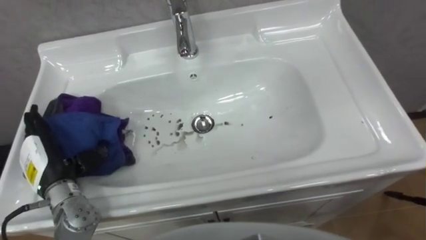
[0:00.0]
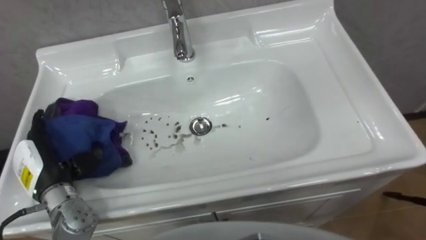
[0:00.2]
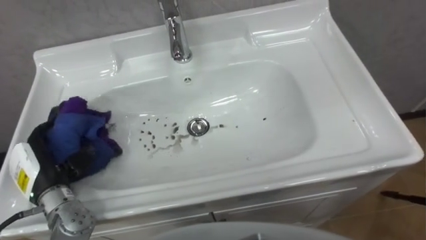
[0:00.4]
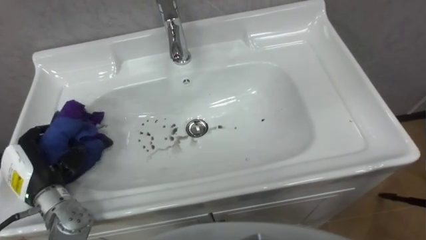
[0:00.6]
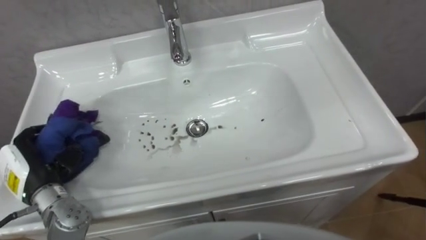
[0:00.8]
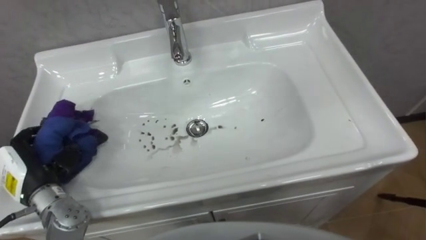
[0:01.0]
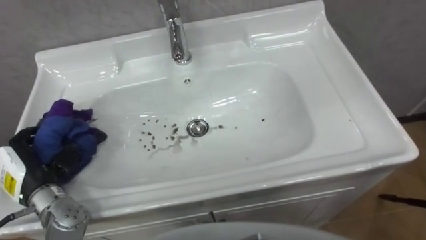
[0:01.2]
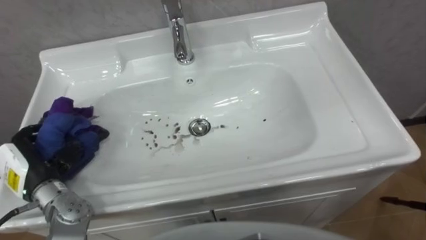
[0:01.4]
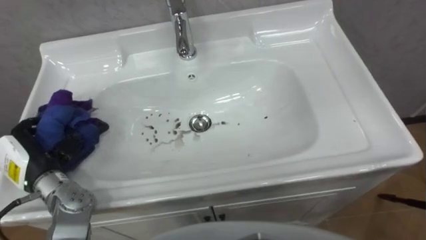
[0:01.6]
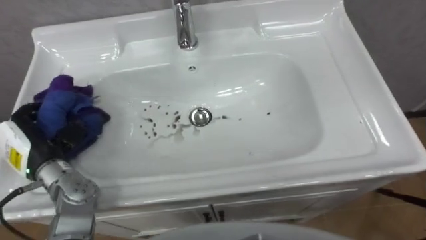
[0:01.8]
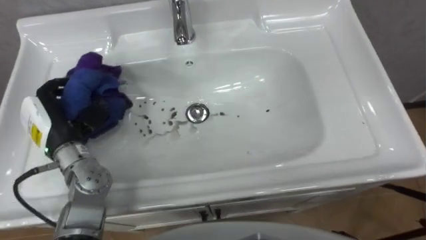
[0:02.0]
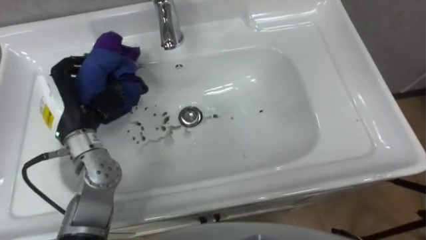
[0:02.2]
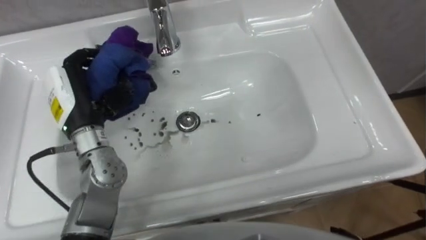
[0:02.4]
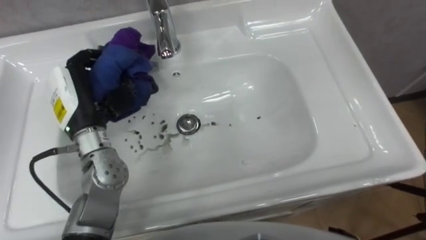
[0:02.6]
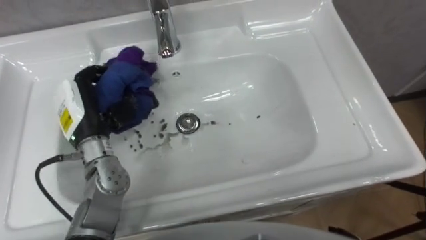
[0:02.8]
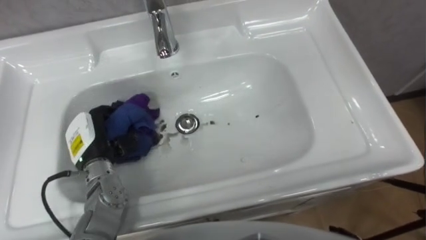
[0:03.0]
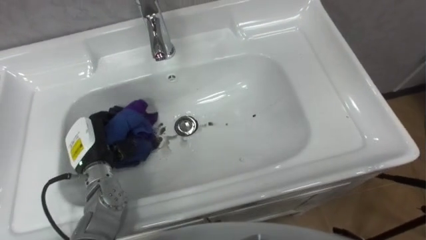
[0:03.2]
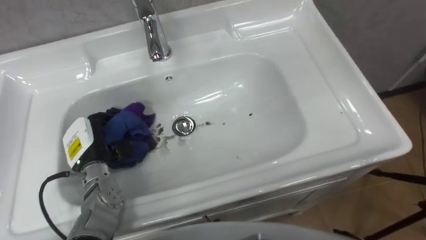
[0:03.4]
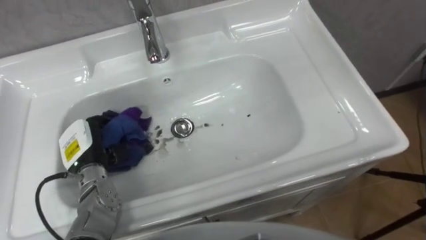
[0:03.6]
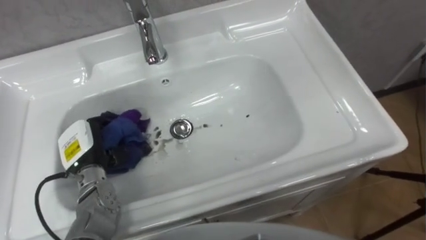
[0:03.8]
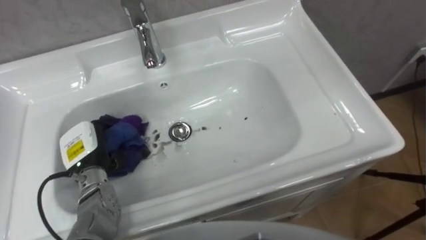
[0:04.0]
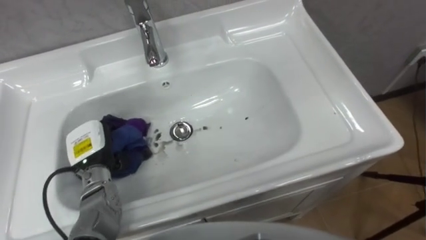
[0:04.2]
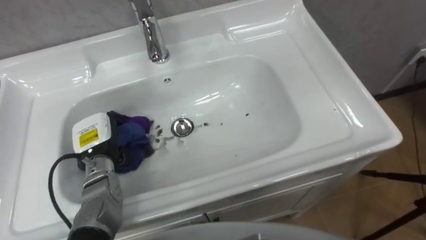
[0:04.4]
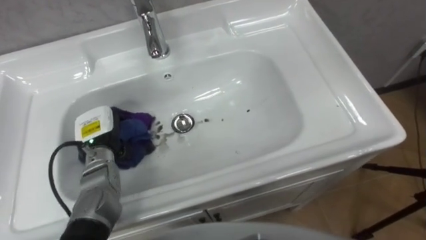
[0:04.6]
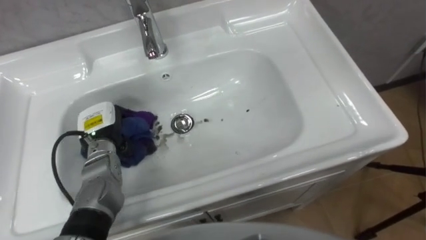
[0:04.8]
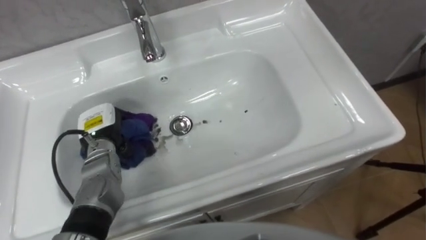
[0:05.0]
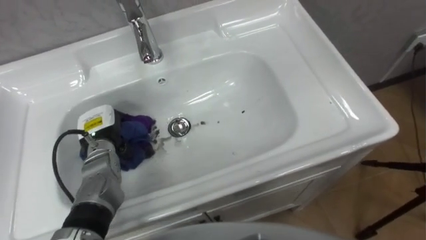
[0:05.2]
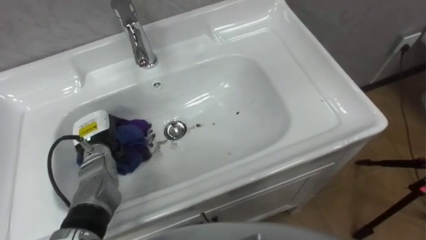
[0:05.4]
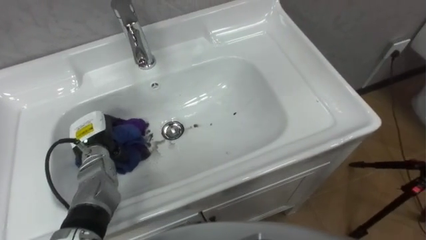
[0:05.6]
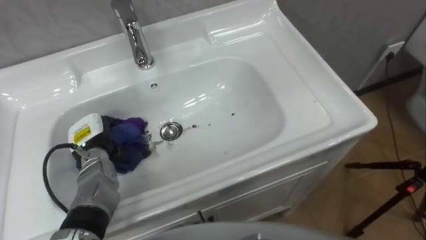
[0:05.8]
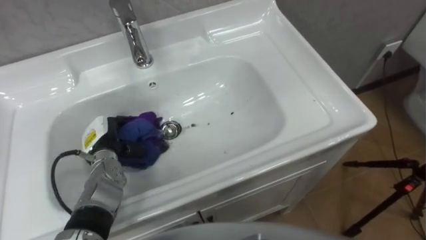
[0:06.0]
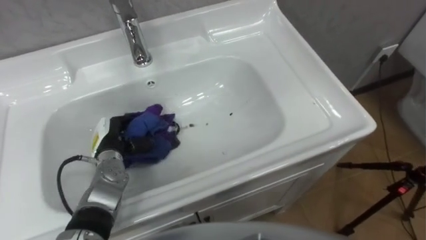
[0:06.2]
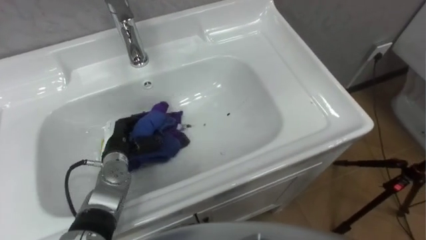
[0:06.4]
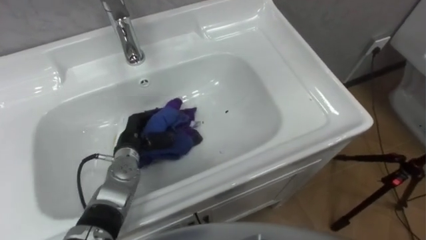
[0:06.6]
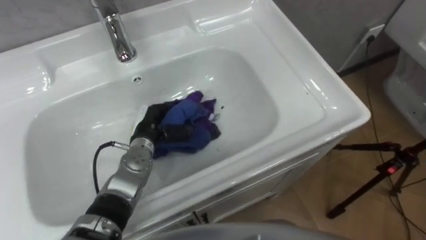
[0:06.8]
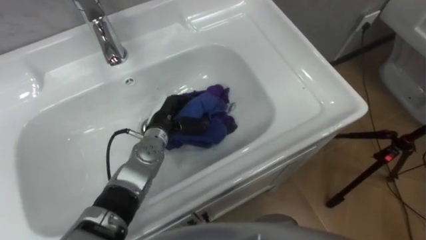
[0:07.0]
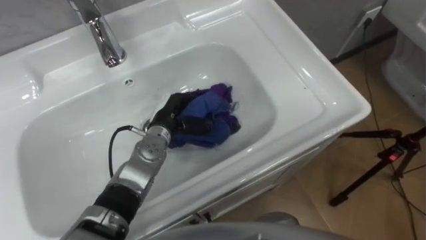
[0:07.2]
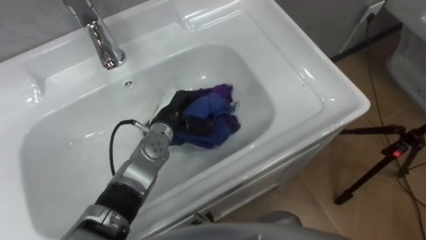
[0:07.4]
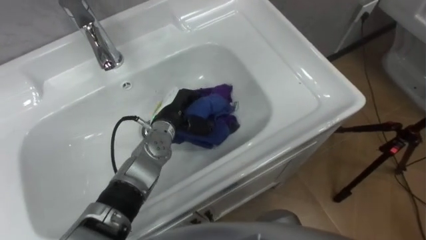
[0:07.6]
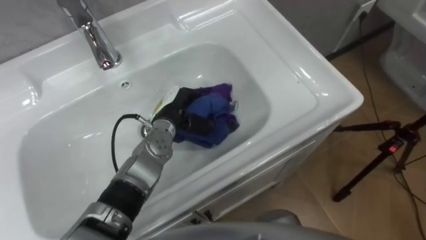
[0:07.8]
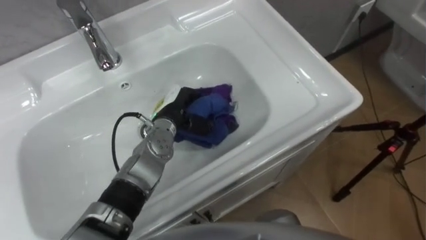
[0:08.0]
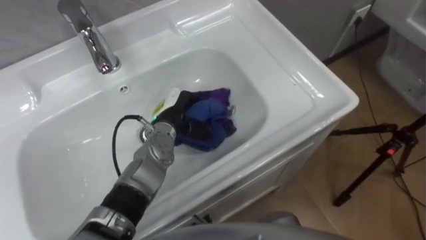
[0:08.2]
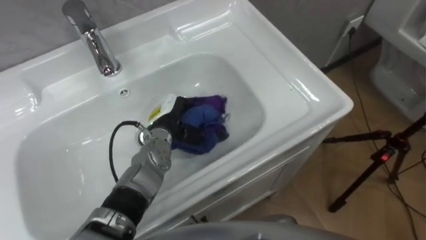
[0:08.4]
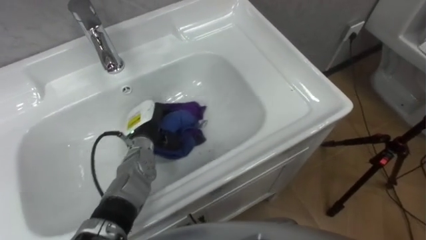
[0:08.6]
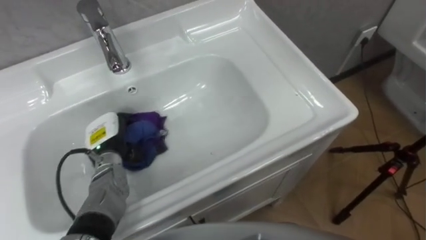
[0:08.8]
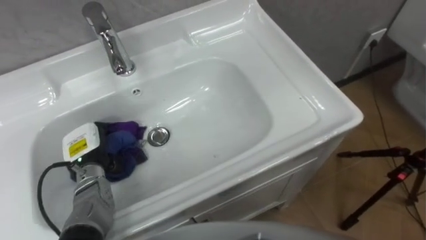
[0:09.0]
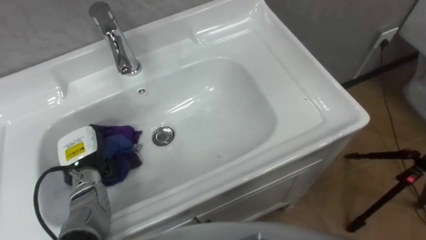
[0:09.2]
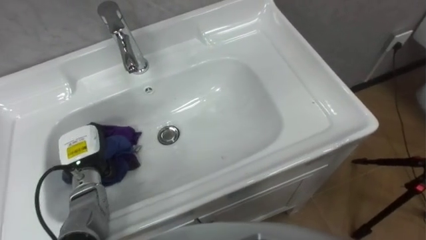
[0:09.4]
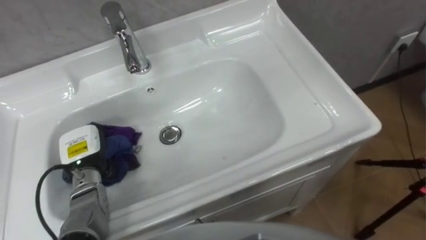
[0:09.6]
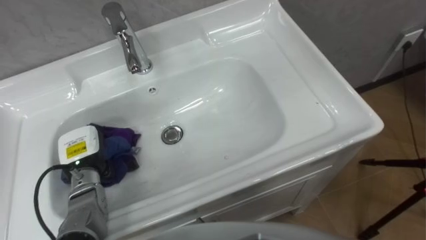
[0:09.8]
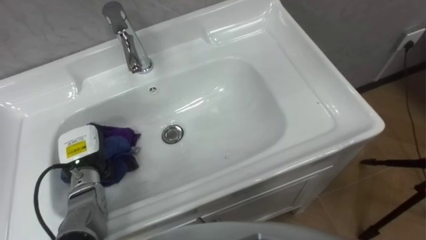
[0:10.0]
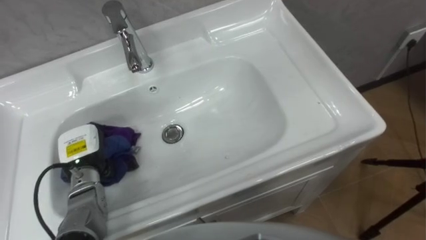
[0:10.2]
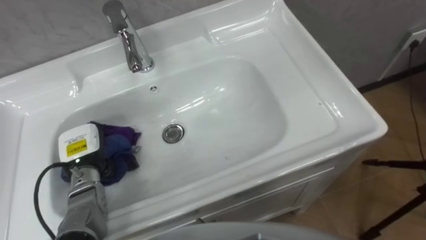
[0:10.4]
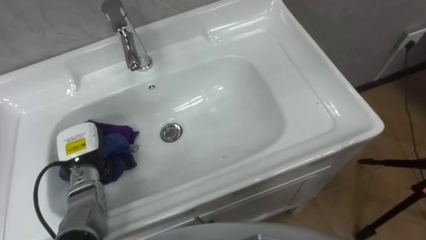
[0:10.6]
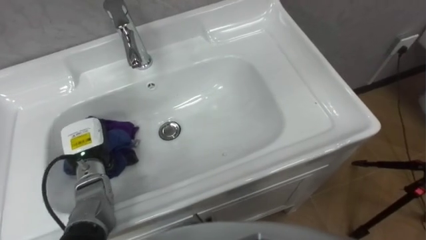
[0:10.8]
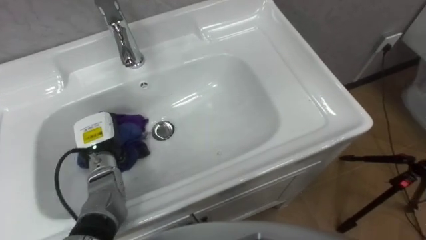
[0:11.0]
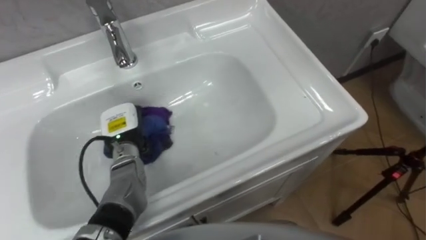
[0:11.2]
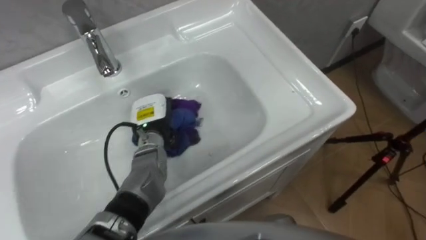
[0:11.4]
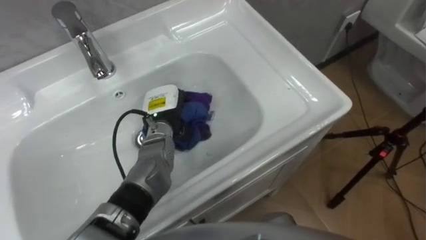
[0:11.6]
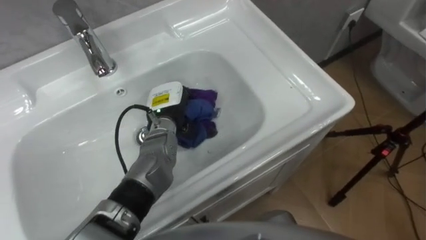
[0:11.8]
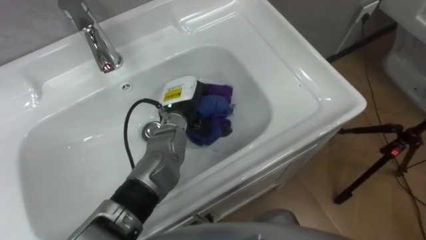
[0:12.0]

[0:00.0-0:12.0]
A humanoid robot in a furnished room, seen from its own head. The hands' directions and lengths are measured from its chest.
Task of the whole recording: Use the cloth on the right to wipe away the black stain in the sink.
0:00.0 to 0:01.6: The left hand closes its fingers.
0:01.6 to 0:03.0: The left hand heads to the right, covering some 10 cm.
0:06.0 to 0:07.6: The left hand moves to the right, about 15 cm.
0:07.6 to 0:09.0: The left hand is displaced to the left and backward by about 20 cm.
0:10.4 to 0:12.0: The left hand moves to the right and forward, some 25 cm.

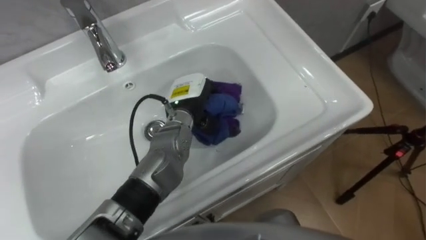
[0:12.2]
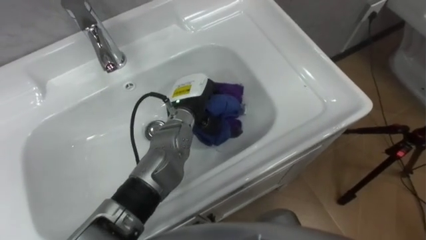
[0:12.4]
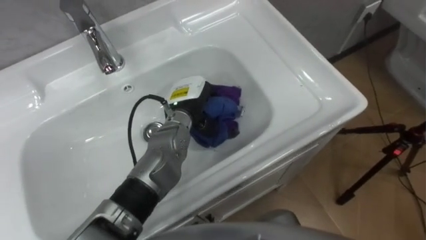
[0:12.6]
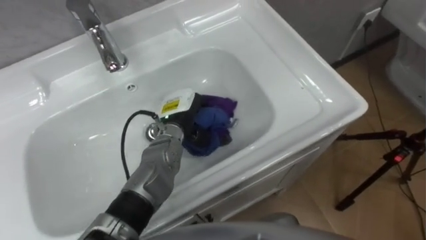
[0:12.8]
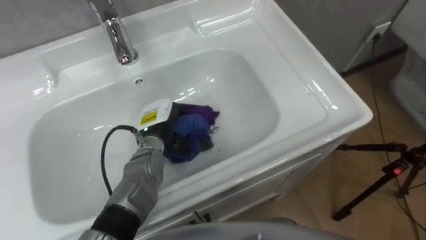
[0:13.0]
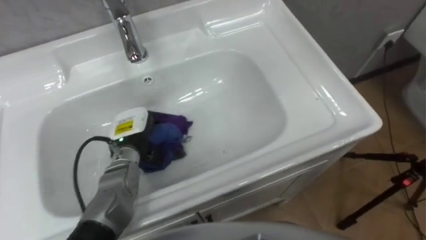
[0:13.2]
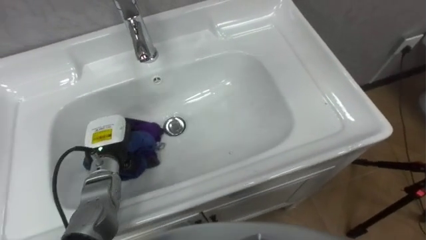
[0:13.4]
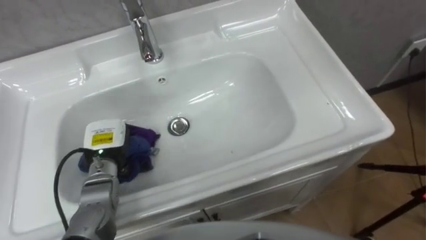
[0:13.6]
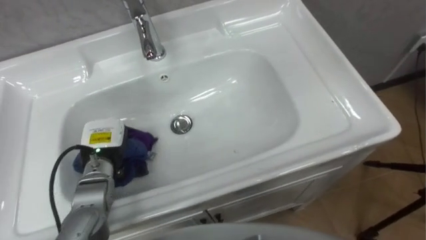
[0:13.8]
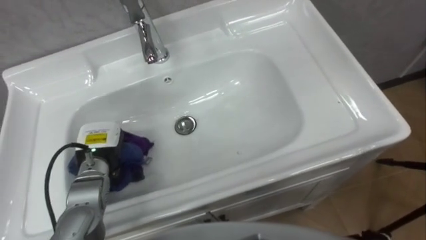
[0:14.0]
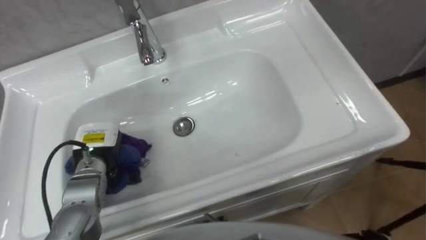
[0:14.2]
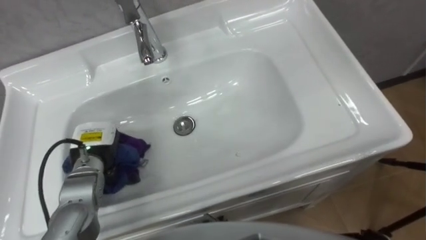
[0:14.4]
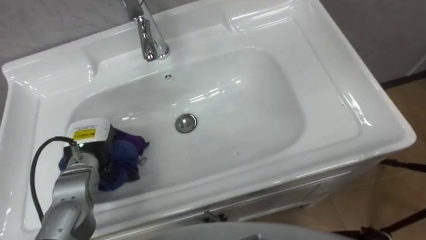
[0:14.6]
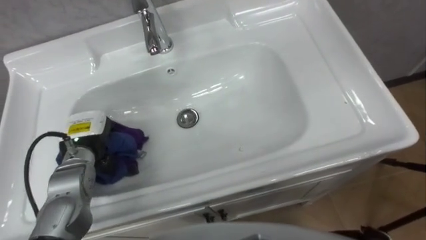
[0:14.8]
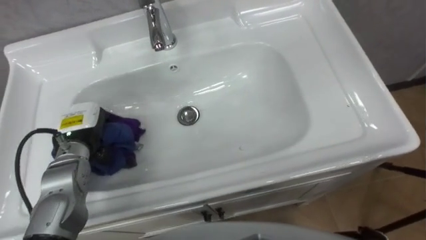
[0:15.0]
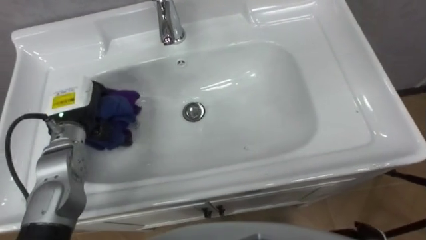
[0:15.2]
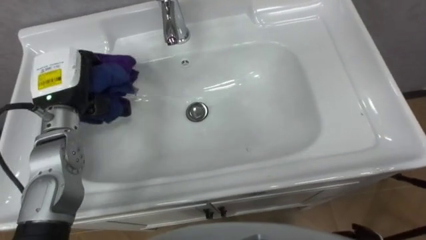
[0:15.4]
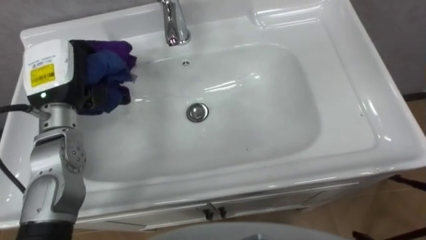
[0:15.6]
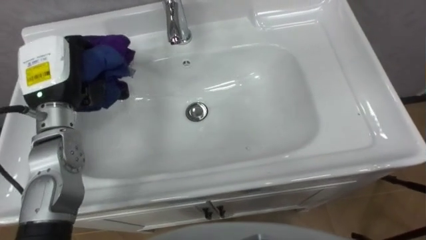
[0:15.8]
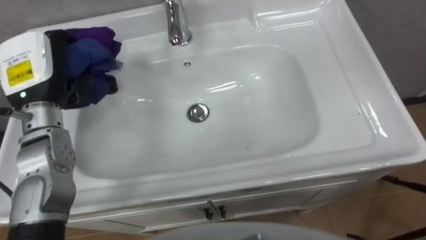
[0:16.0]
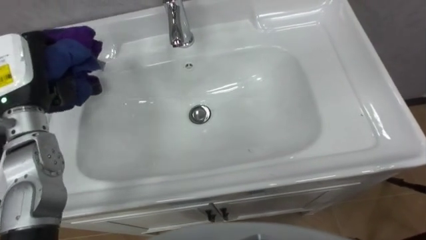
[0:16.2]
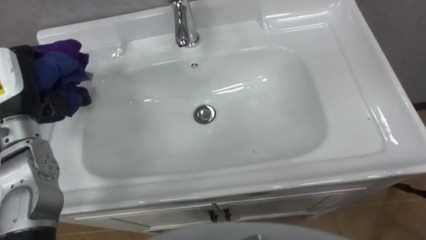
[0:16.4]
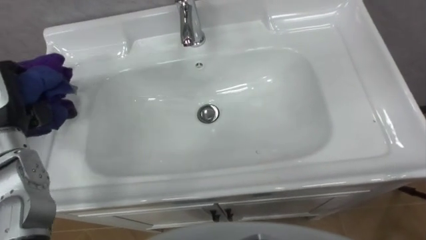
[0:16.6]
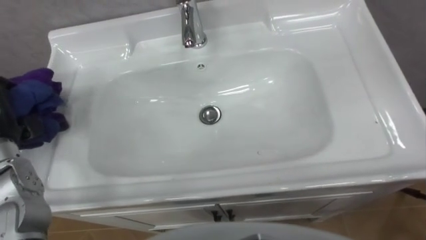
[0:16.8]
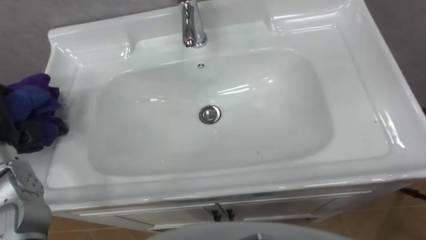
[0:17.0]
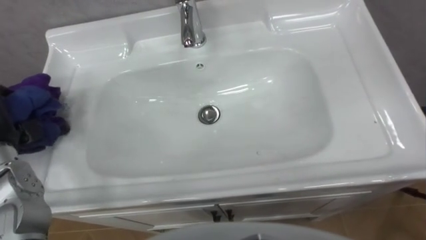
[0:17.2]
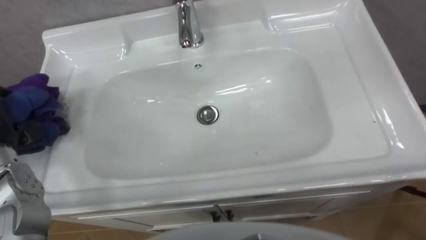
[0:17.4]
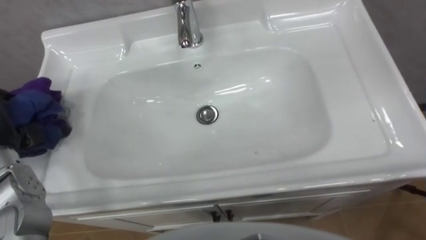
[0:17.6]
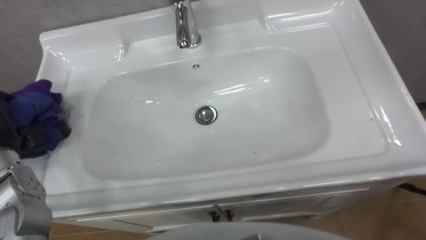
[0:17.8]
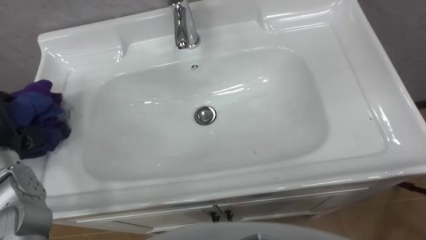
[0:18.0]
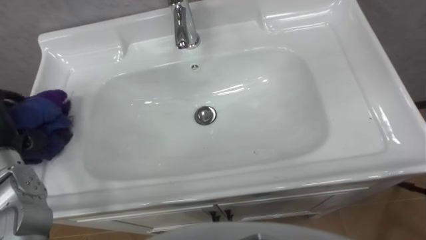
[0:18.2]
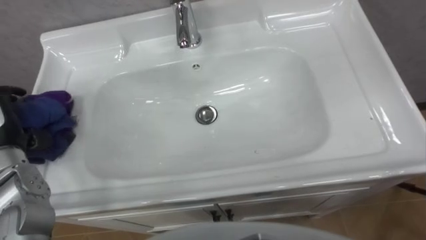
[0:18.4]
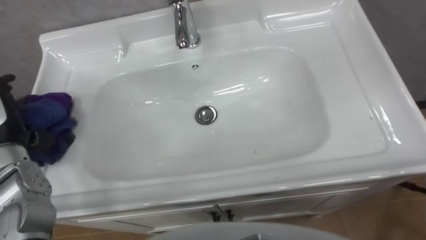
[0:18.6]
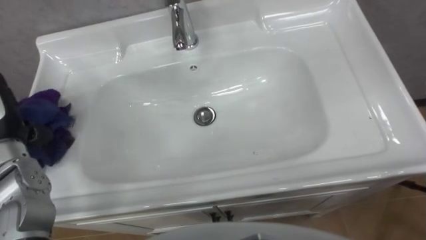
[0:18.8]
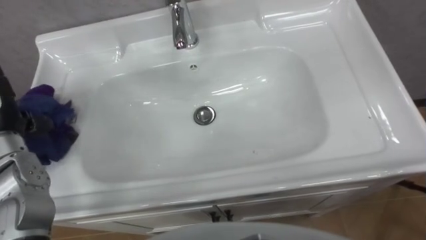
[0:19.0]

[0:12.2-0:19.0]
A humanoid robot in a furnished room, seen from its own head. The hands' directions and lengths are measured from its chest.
Task of the whole recording: Use the cloth on the right to wipe away the black stain in the sink.
0:12.2 to 0:13.6: The left hand heads to the left and backward, covering approximately 20 cm.
0:13.6 to 0:15.0: The left hand ends up approximately 5 cm from where it was.
0:15.0 to 0:16.2: The left hand heads upward, covering approximately 15 cm.
